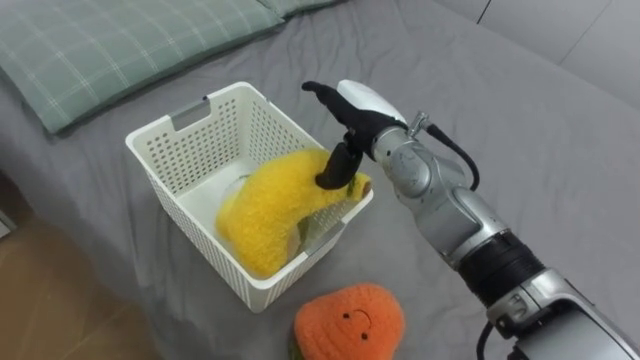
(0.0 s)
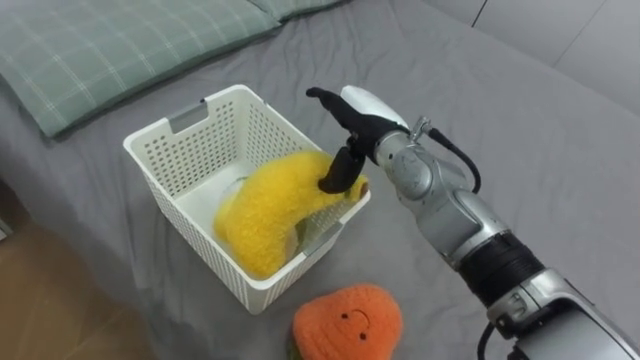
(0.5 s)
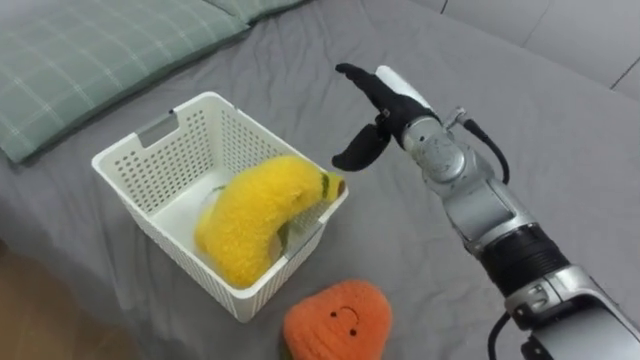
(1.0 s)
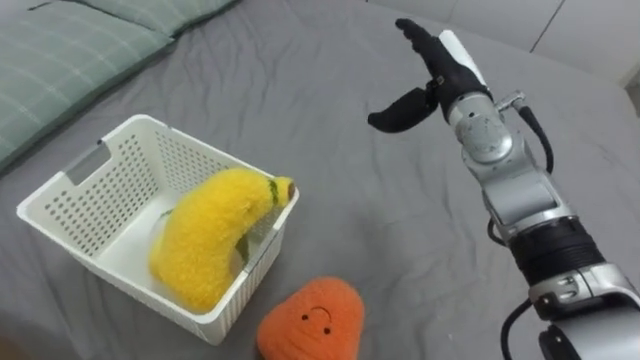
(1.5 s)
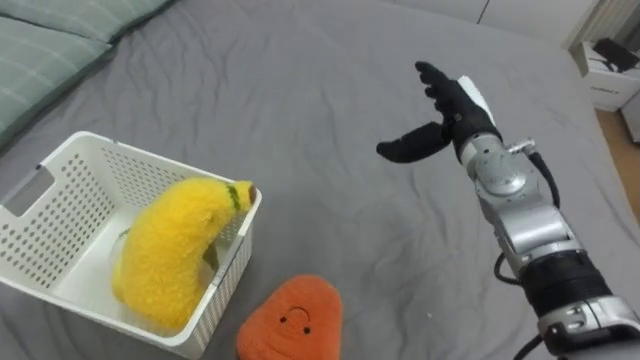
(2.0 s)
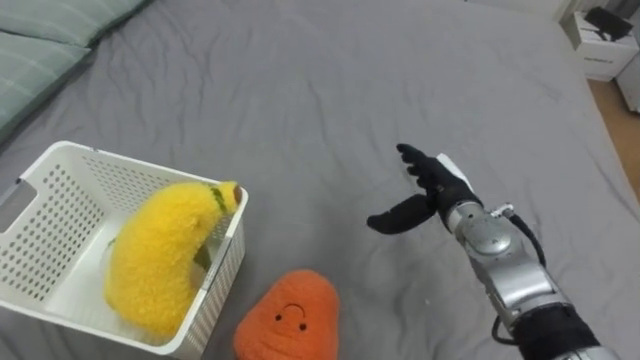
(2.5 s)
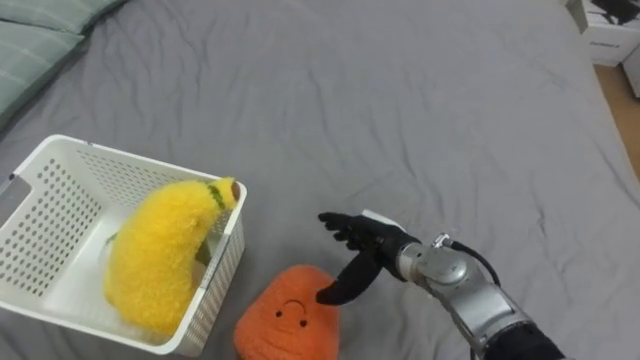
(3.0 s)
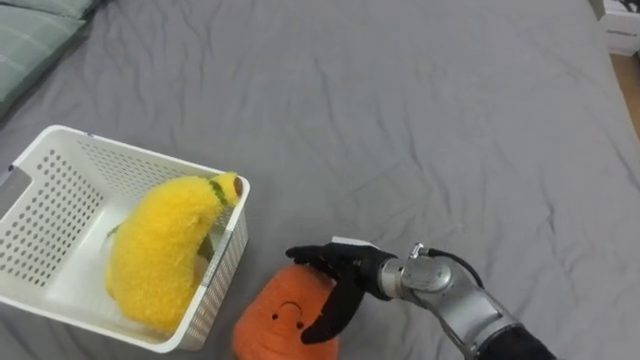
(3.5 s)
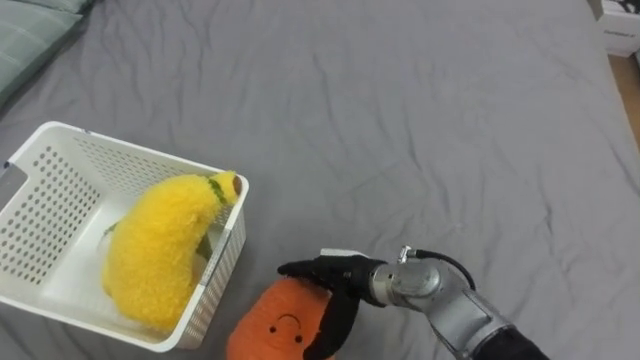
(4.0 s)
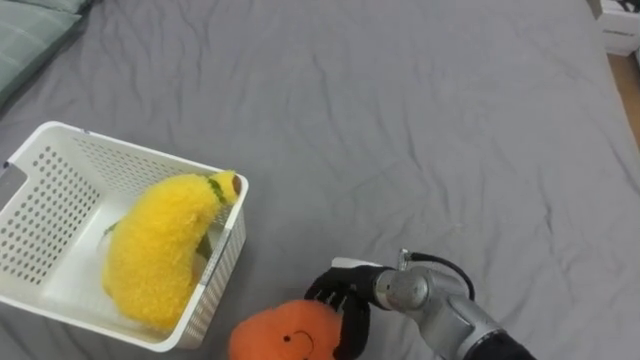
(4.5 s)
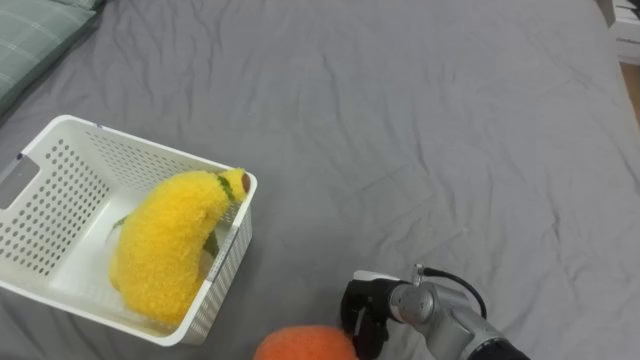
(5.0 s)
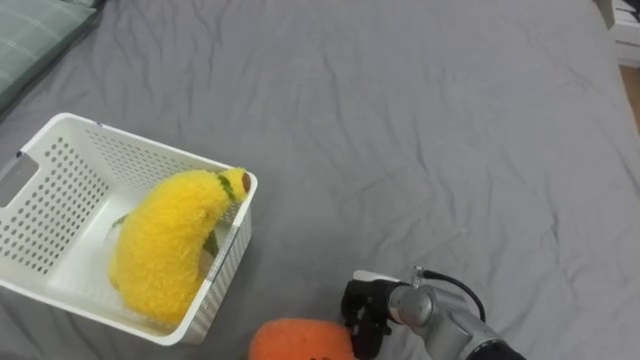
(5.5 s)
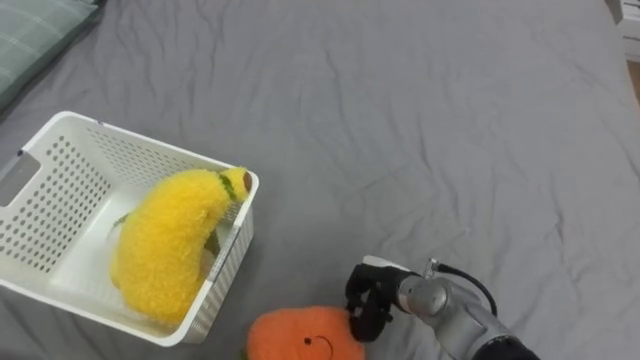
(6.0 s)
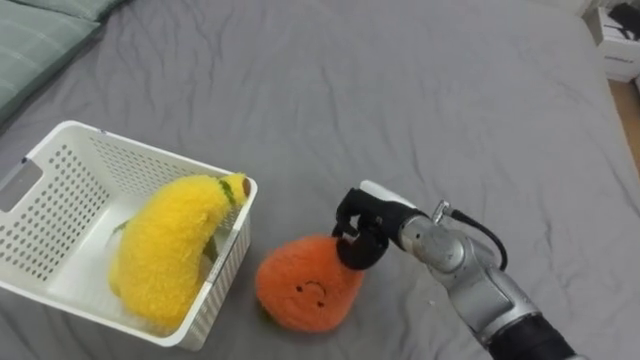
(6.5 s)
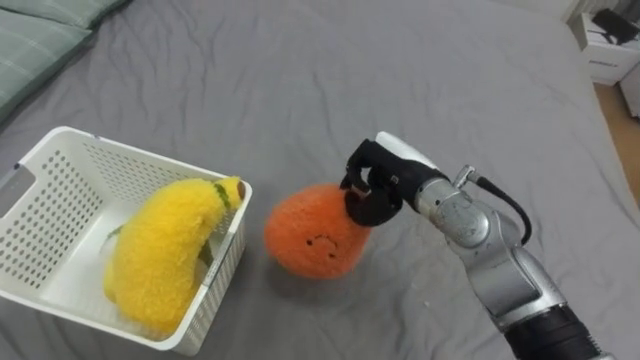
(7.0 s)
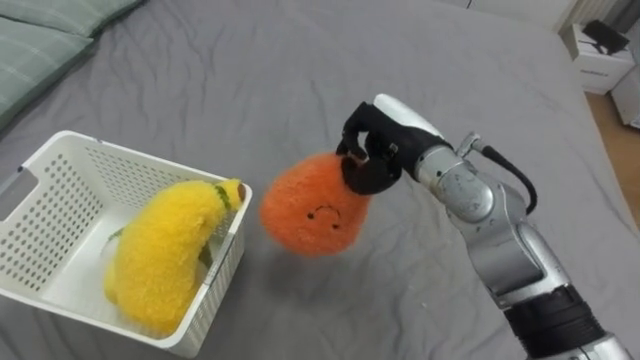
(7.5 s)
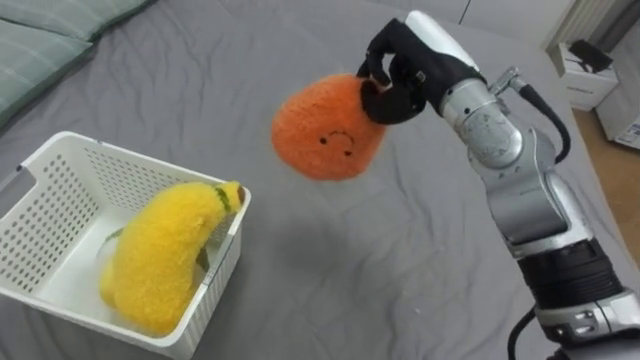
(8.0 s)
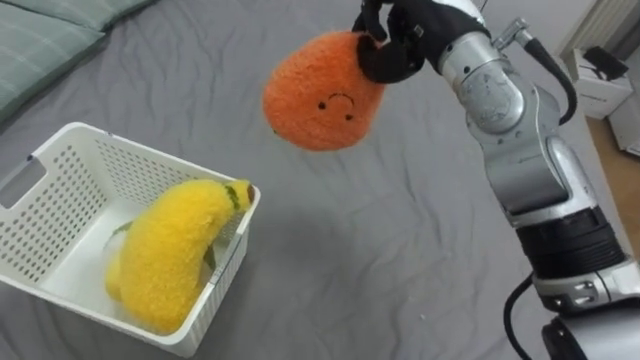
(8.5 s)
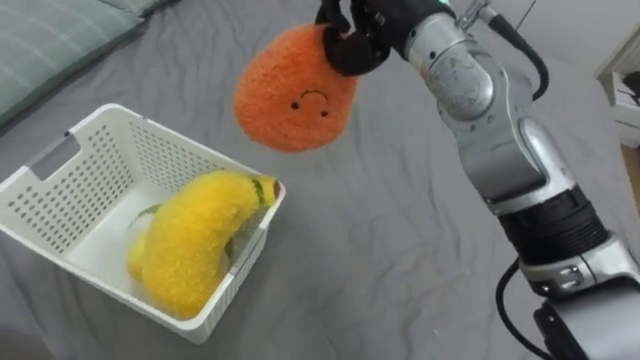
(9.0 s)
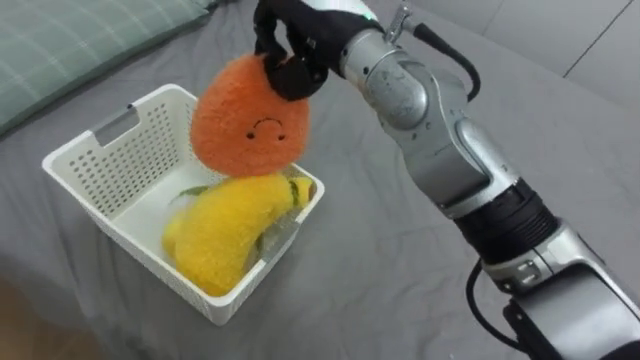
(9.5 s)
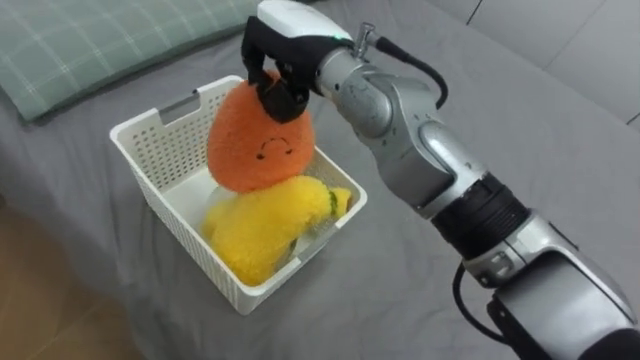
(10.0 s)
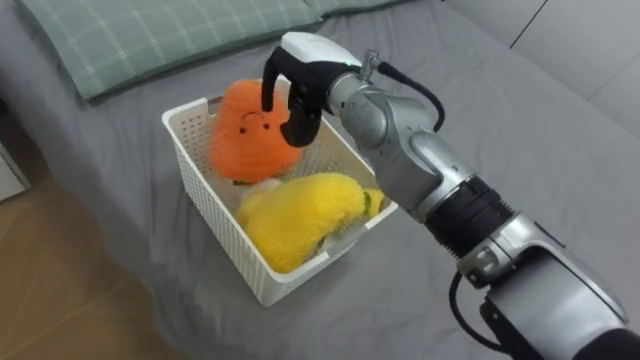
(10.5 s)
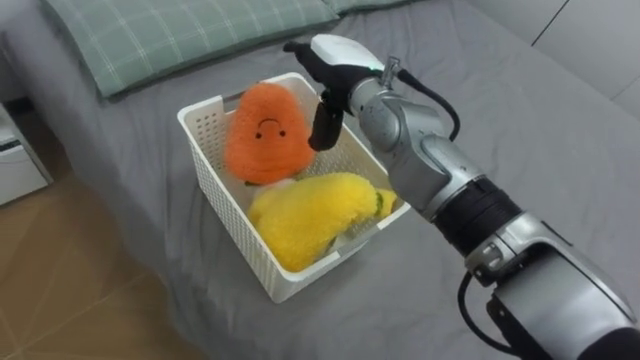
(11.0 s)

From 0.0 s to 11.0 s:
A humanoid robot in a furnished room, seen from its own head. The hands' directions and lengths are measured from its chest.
Task of the whole recording: Put the toys on the bed into the basket on the left.
From 0.0 s to 2.0 s: The right hand shifts approximately 15 cm to the right.
From 2.0 s to 3.5 s: The right hand travels downward, backward and to the left by roughly 25 cm.
From 3.5 s to 5.5 s: The right hand moves downward, some 5 cm, and closes.
From 5.5 s to 7.5 s: The right hand moves upward and forward, some 25 cm.

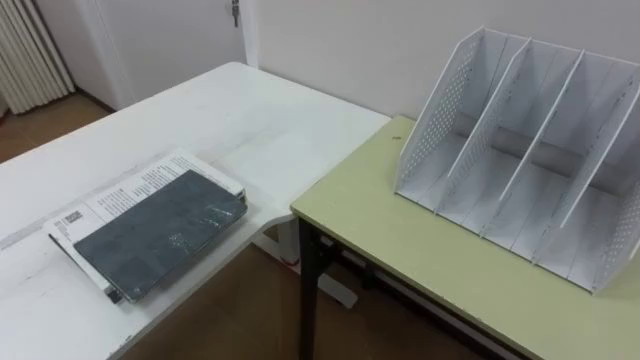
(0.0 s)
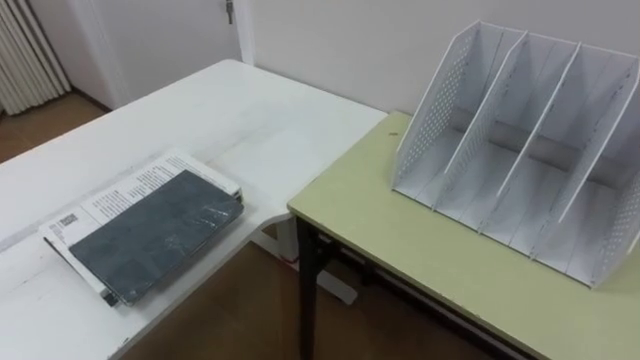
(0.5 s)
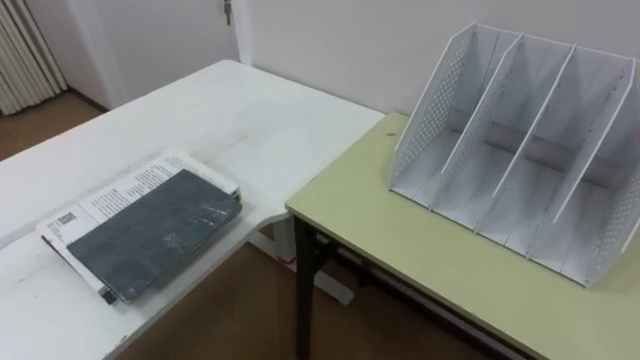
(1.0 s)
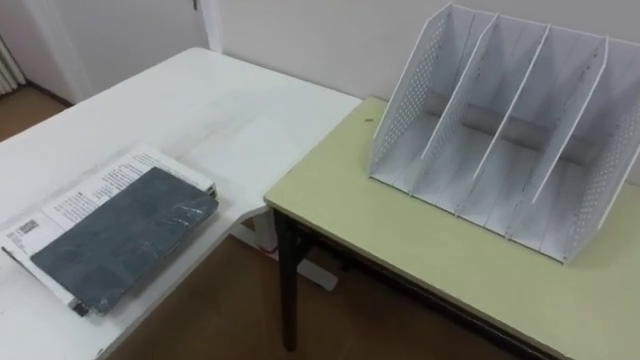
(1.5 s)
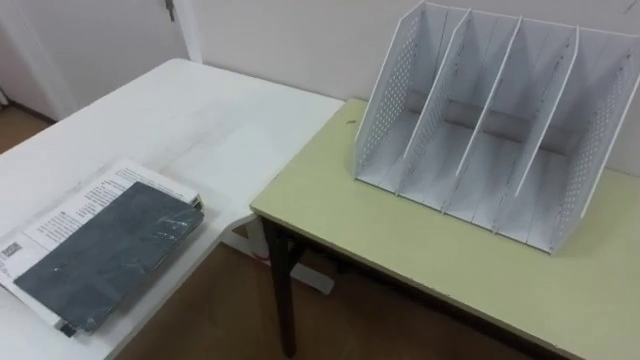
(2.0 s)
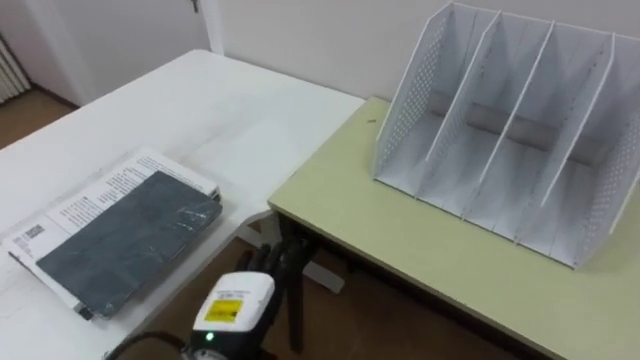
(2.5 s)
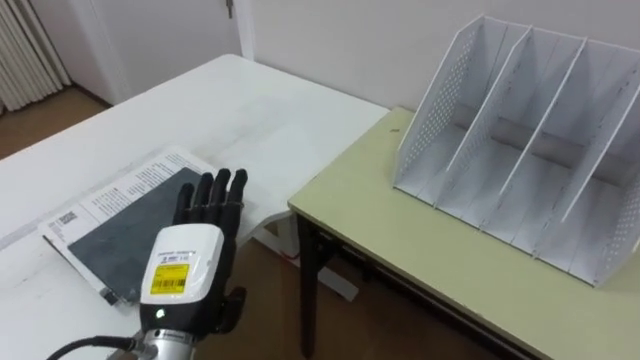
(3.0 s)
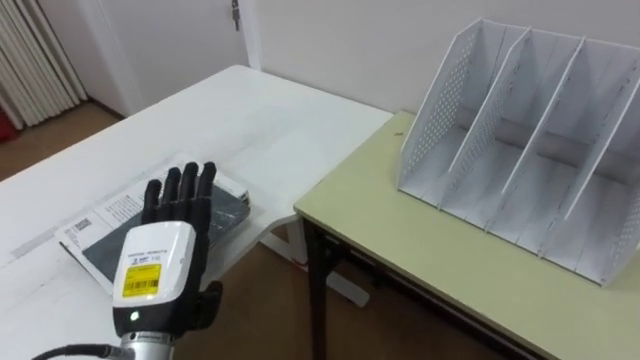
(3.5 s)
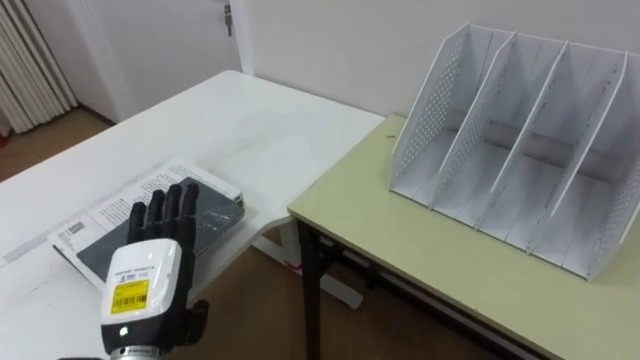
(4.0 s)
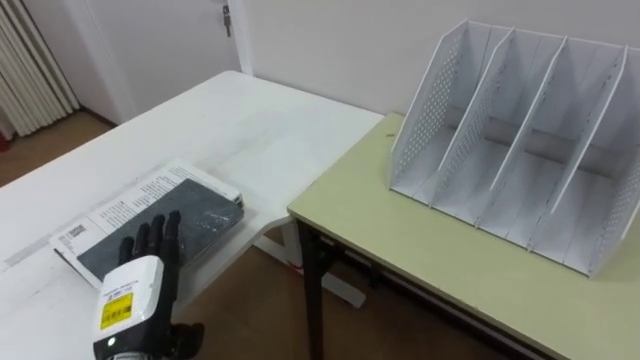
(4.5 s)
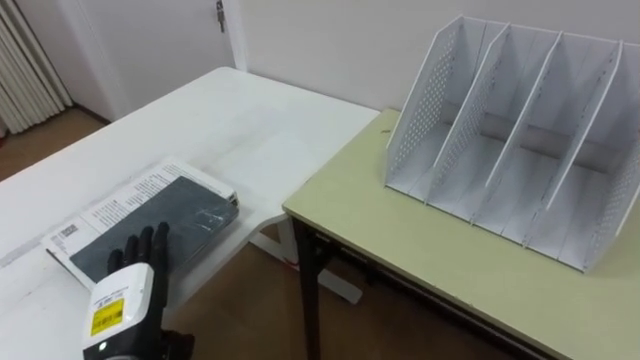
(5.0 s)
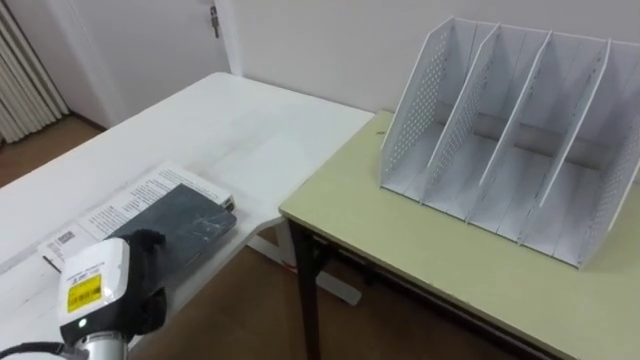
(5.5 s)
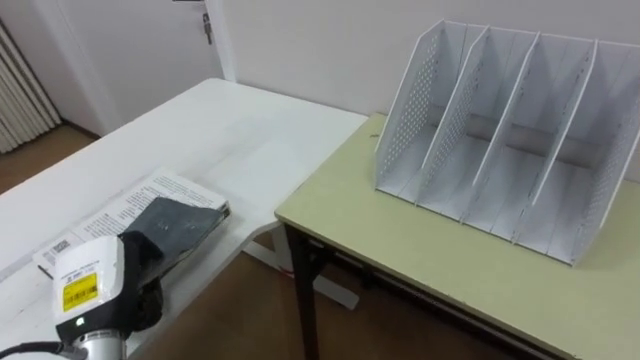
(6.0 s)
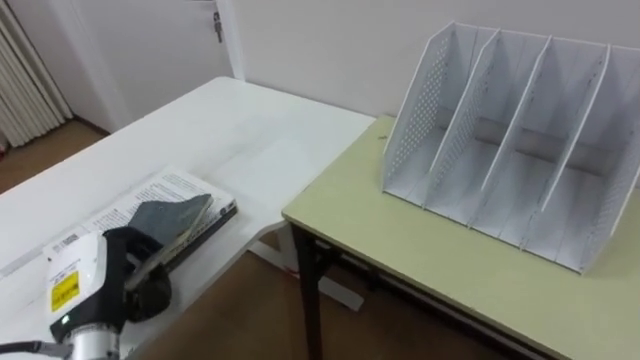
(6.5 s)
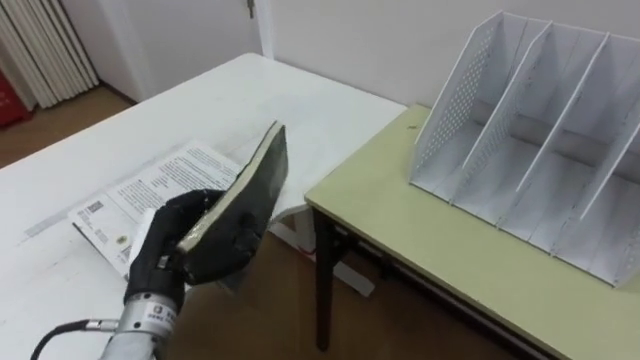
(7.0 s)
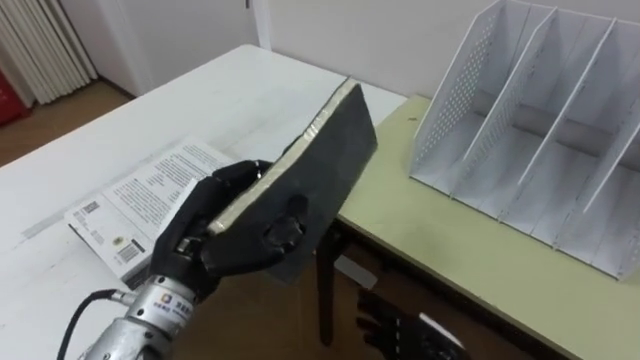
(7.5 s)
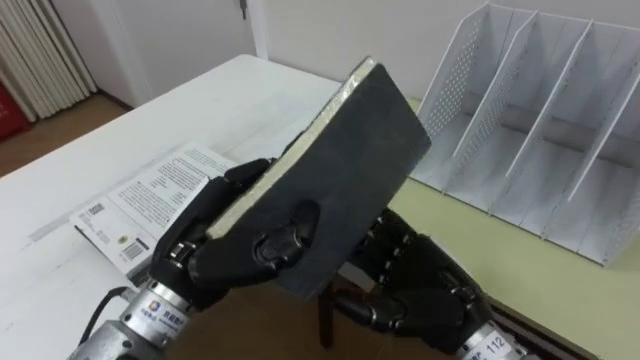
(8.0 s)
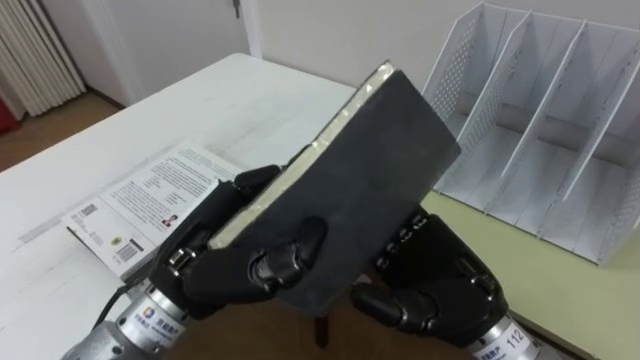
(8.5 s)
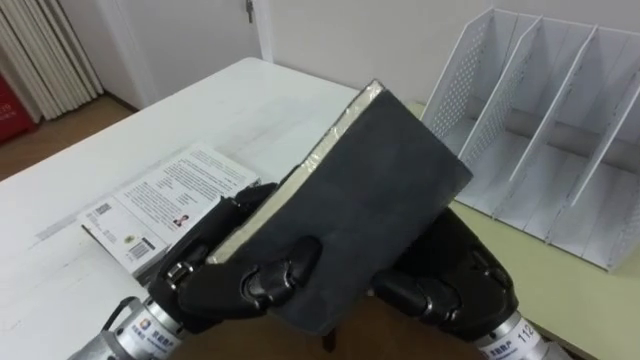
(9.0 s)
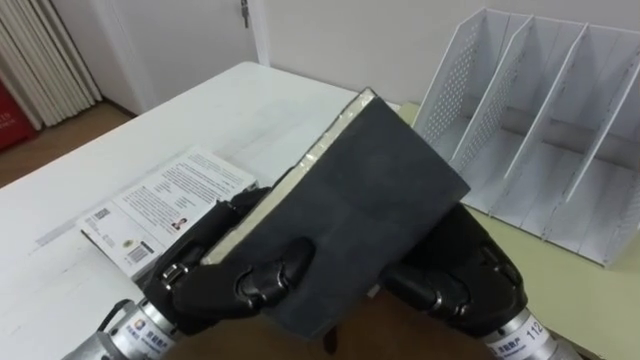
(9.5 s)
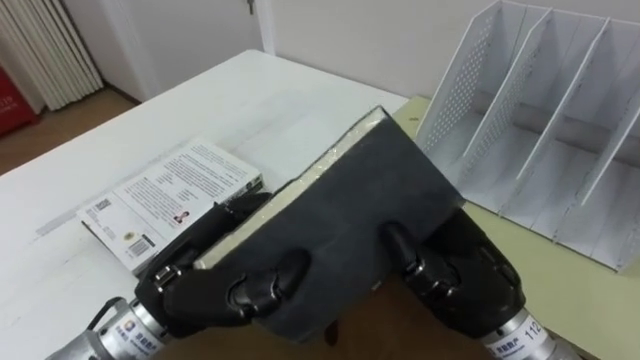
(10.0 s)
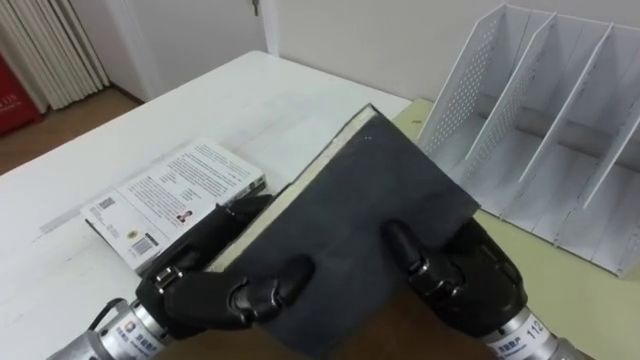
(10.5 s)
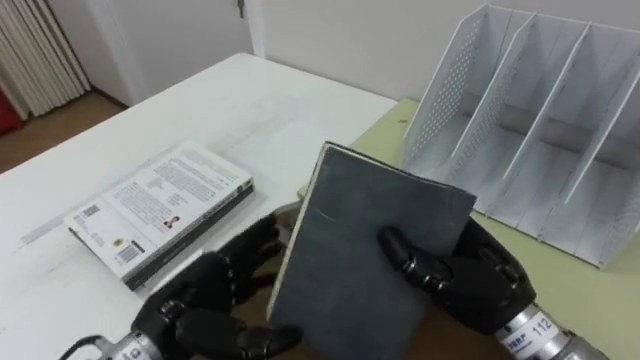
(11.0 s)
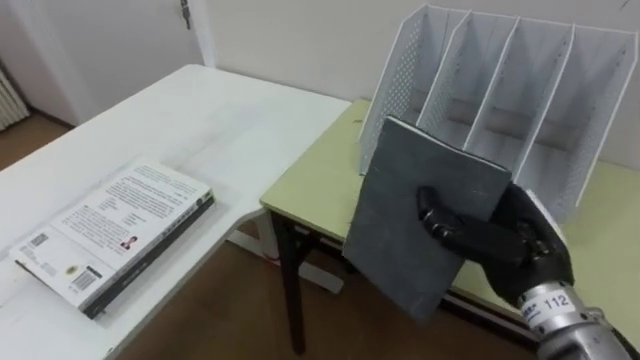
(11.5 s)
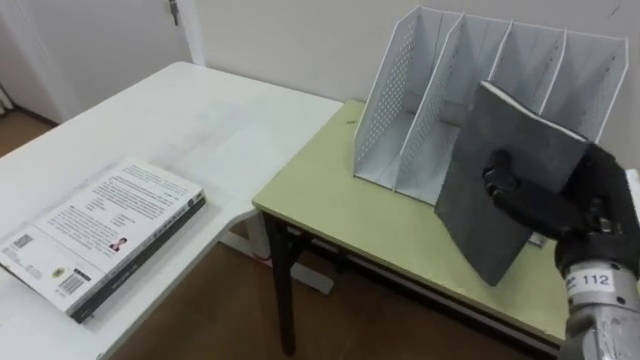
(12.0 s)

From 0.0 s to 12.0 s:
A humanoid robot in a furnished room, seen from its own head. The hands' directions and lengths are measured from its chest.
Task of the whole recording: Put the books on the table onto the bookshelf.
From 4.0 s to 6.0 s: The left hand travels to the left by roughly 5 cm, and closes.
From 6.0 s to 8.0 s: The left hand moves to the right and upward, approximately 20 cm.
From 8.0 s to 10.0 s: The right hand is displaced upward by approximately 5 cm, and closes up.
From 10.0 s to 12.0 s: The right hand moves to the right, some 15 cm.
